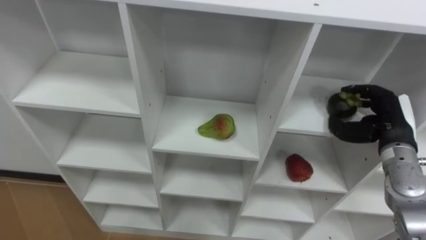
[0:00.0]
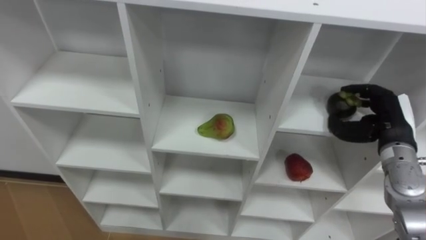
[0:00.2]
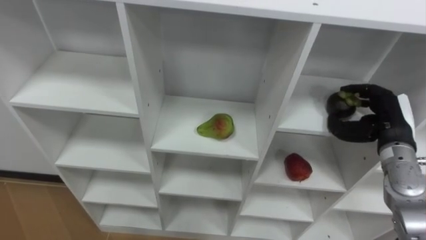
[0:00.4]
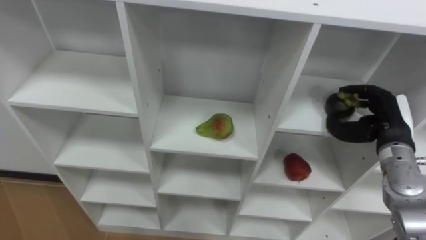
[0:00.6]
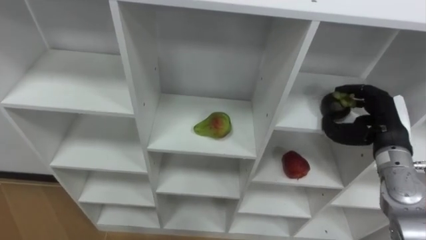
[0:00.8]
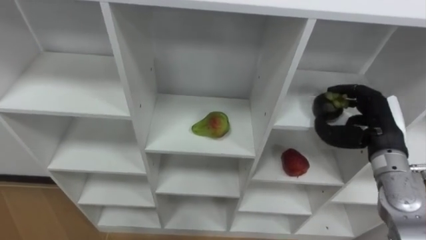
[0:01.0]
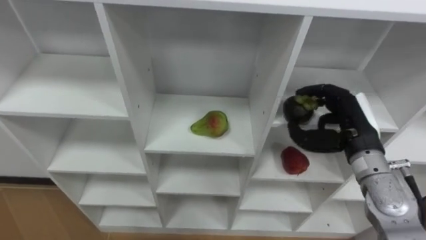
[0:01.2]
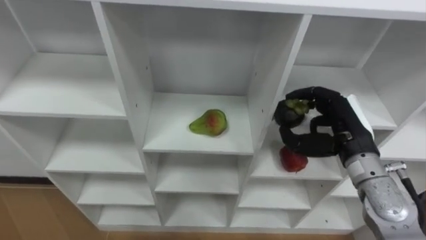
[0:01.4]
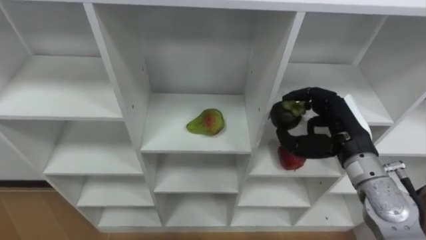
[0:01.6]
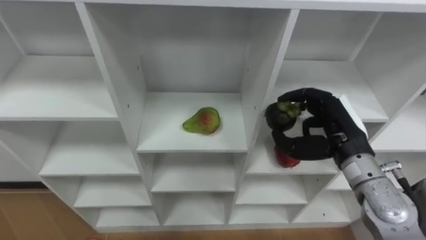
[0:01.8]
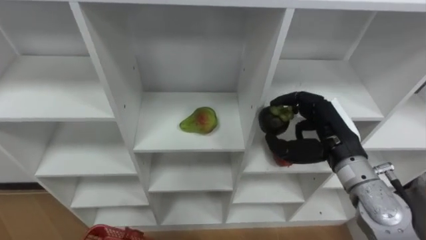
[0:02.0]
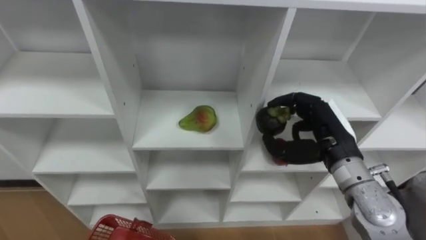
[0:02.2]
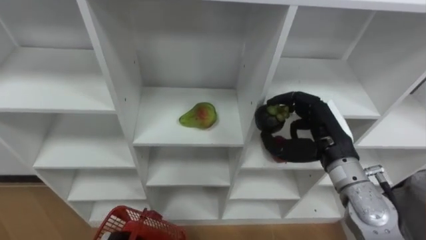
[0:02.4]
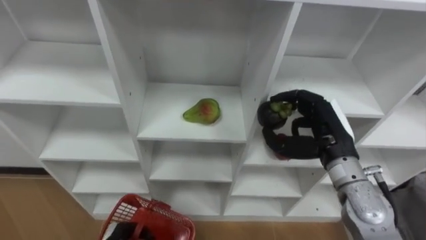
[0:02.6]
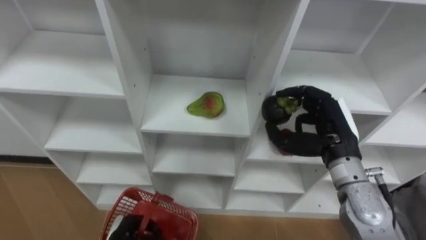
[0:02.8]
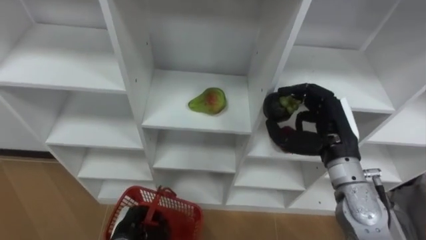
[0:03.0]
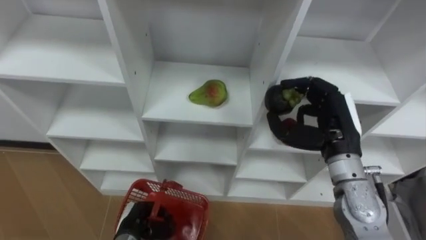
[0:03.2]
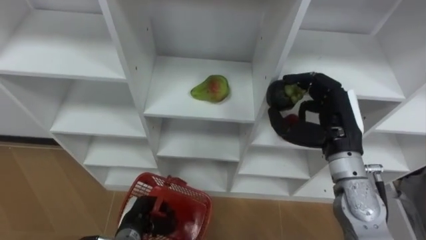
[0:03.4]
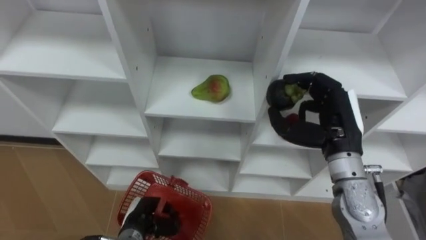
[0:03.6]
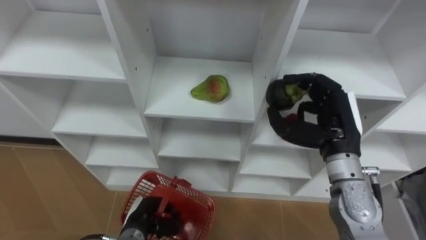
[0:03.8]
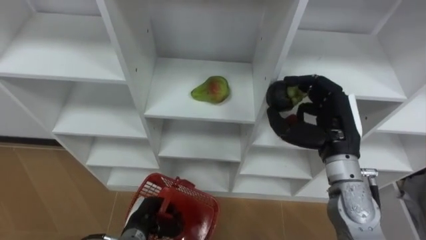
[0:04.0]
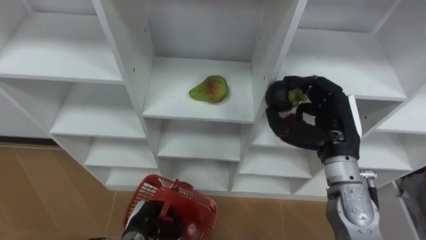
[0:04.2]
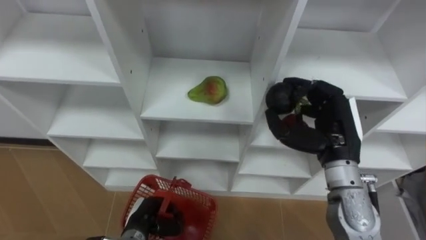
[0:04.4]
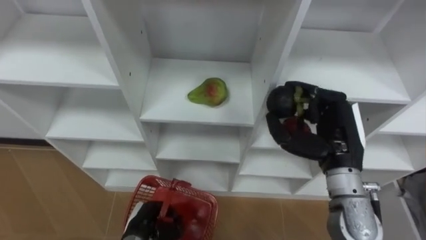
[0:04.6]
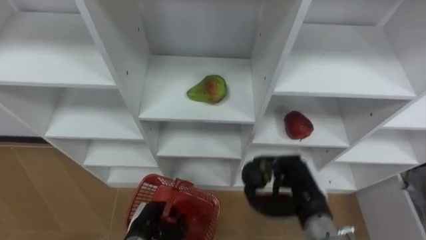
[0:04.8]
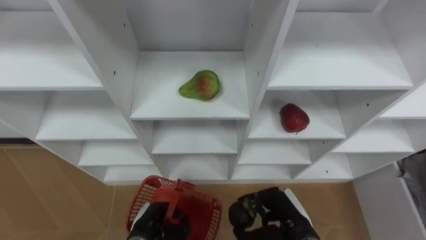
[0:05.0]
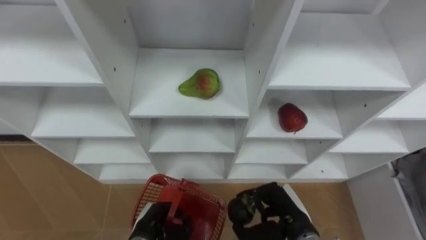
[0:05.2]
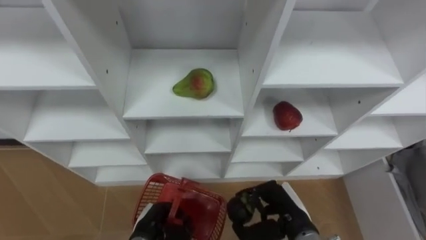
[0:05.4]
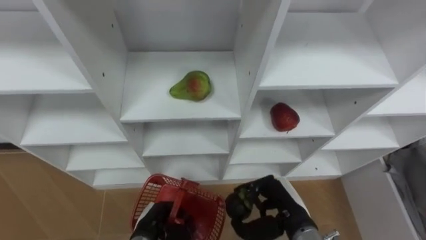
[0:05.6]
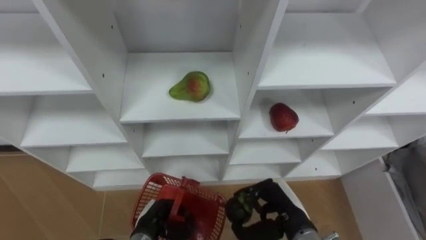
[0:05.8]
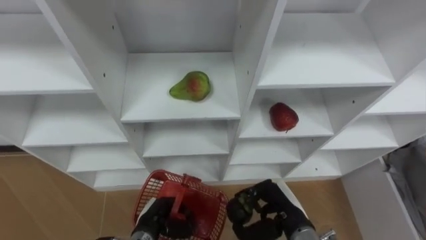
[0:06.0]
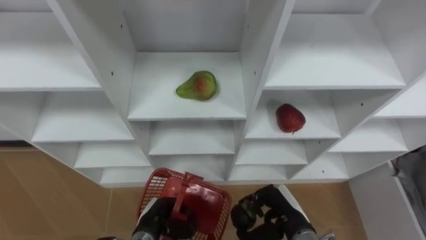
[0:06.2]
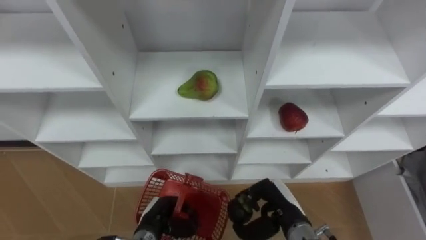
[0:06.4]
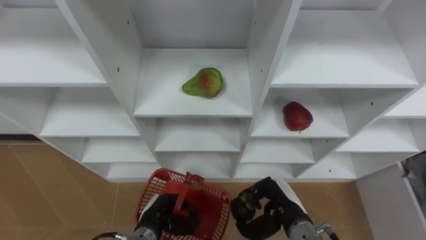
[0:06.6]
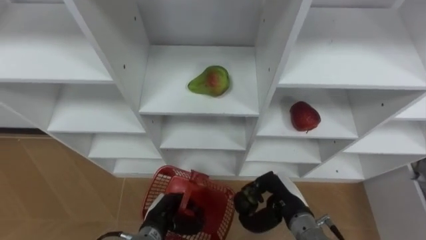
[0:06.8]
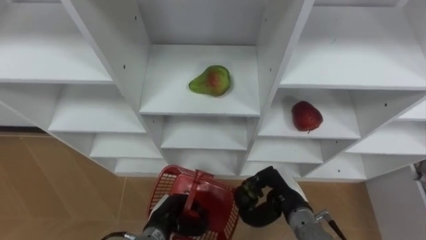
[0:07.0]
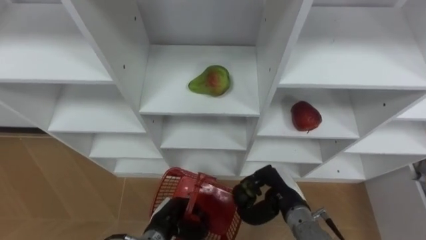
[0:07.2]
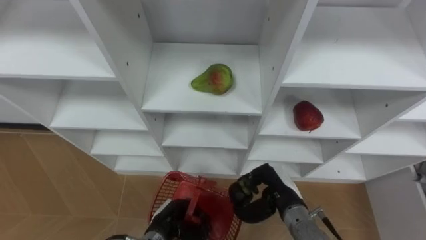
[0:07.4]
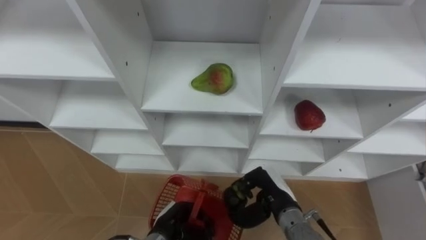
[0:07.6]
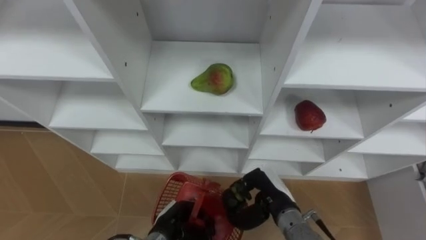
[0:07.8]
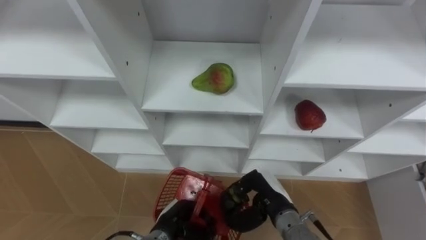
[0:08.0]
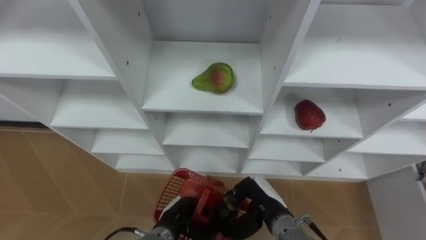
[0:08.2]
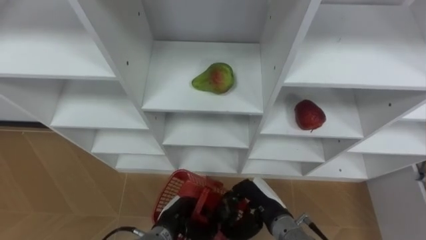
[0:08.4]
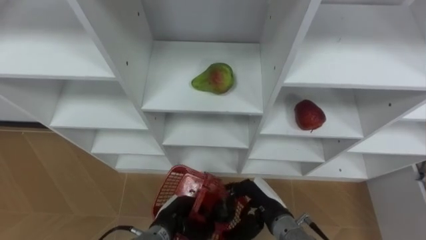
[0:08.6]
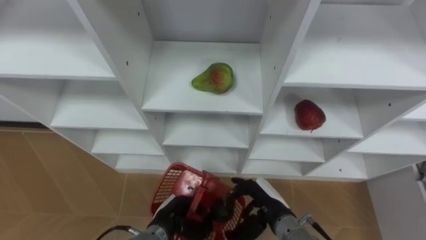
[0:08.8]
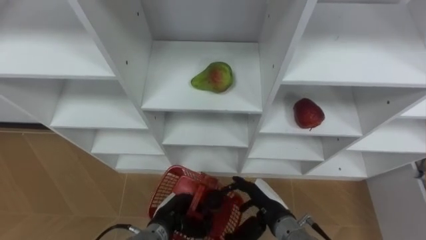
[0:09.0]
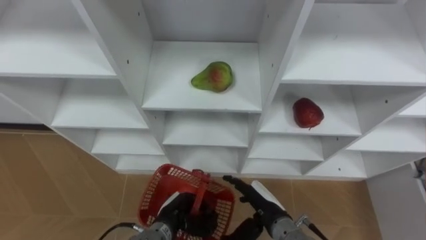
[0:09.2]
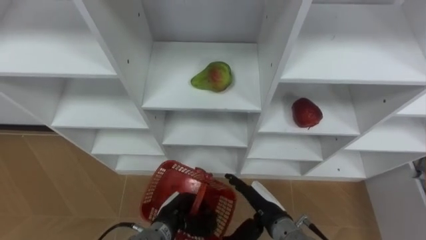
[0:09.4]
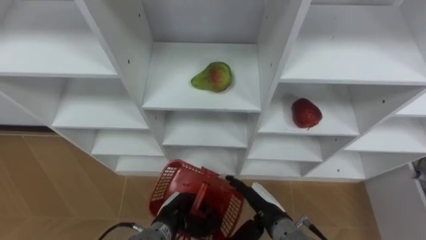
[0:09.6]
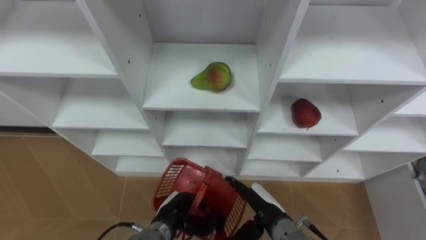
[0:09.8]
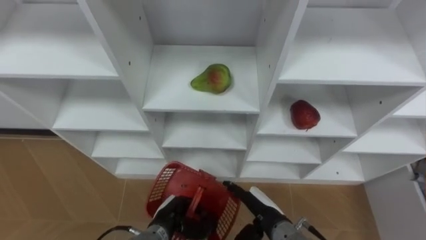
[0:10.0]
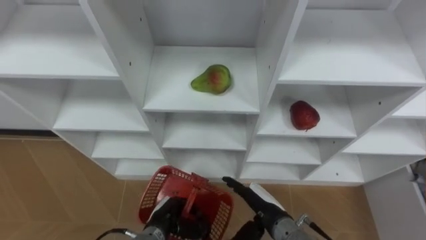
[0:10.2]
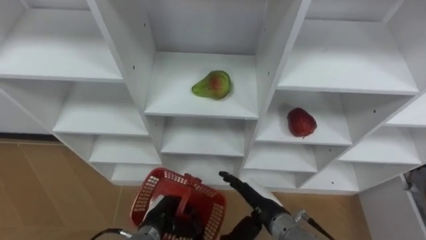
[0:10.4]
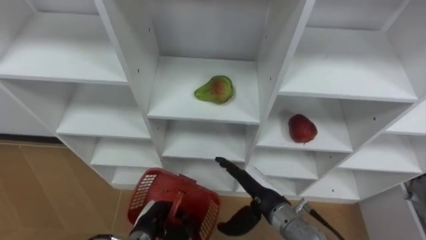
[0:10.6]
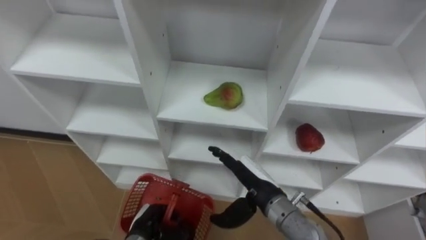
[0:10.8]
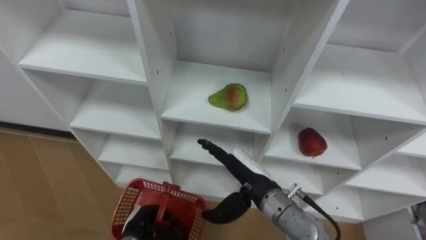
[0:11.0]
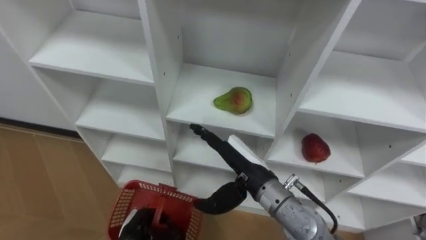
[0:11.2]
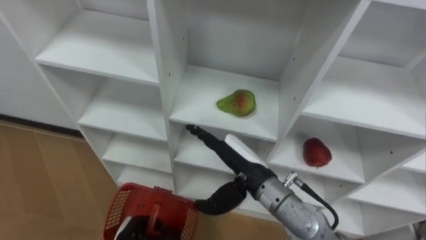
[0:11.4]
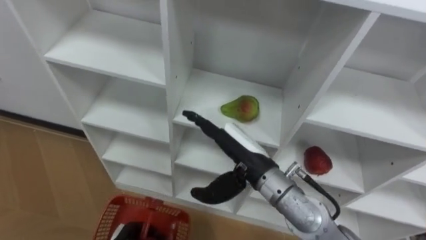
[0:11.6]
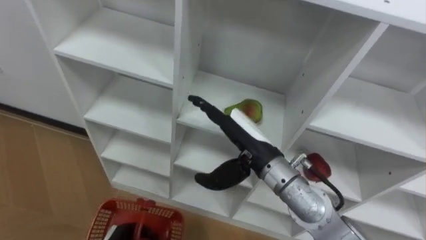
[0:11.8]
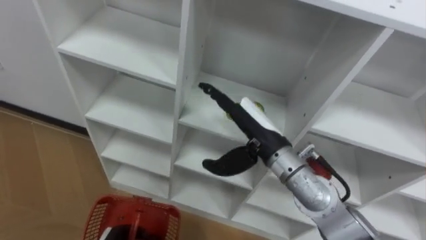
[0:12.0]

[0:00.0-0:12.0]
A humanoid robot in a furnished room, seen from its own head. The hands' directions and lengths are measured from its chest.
Task of the whole recording: Hold the basket and collect the fruits from 3 different cells of the closet into it.
0.0 to 1.6 s: The right hand moves to the left, roughly 10 cm.
4.4 to 6.0 s: The right hand travels downward, backward and to the left by some 15 cm.
7.6 to 9.0 s: The right hand opens its fingers.
10.4 to 12.0 s: The right hand is displaced upward and forward by roughly 20 cm.

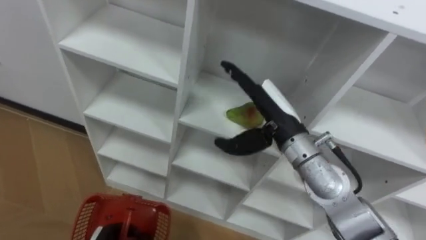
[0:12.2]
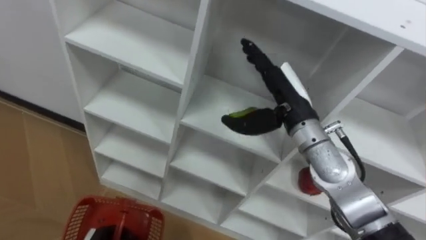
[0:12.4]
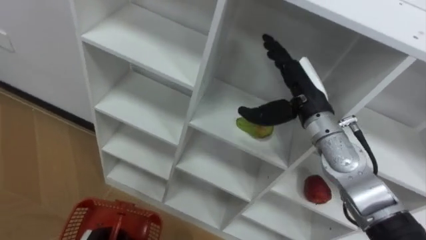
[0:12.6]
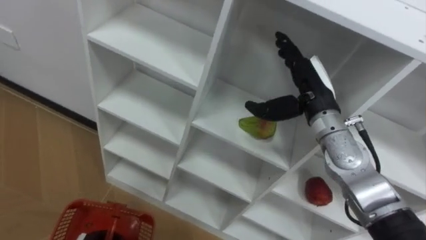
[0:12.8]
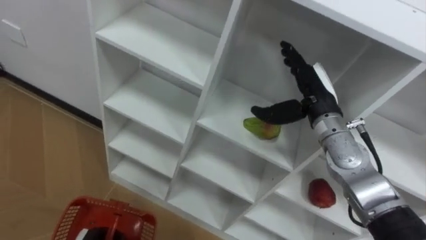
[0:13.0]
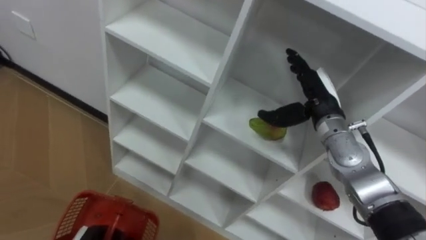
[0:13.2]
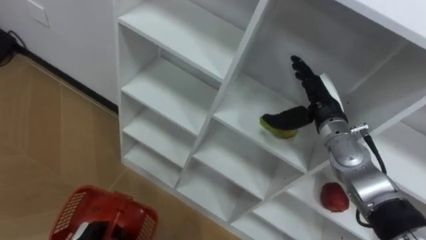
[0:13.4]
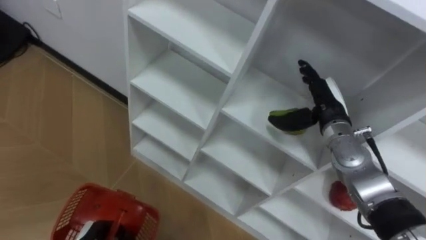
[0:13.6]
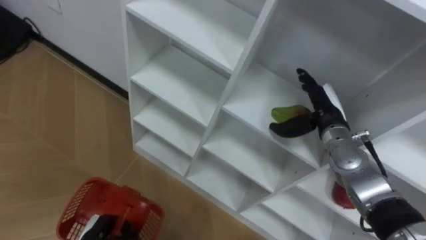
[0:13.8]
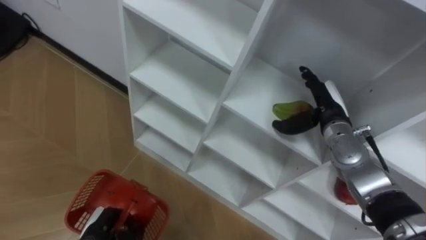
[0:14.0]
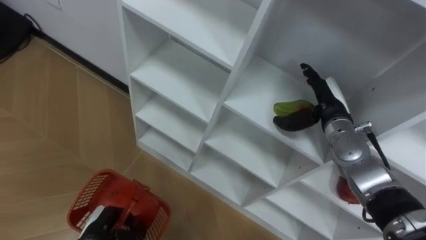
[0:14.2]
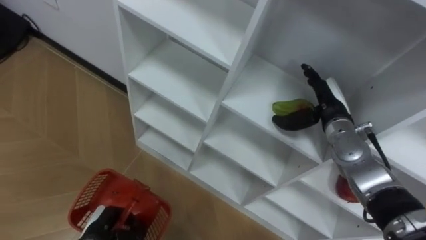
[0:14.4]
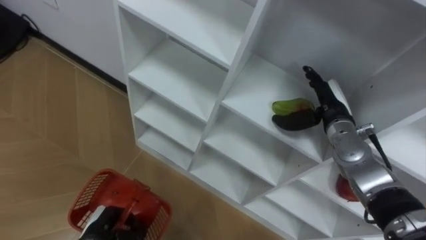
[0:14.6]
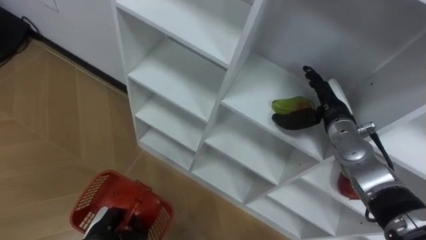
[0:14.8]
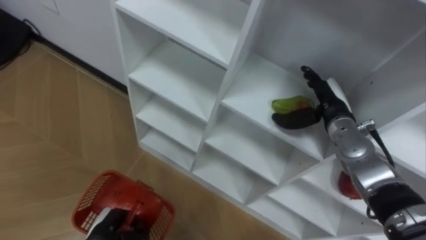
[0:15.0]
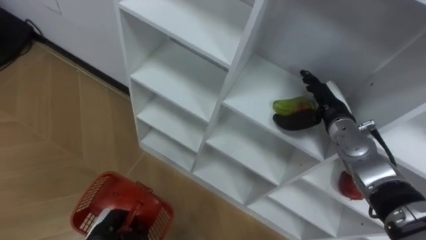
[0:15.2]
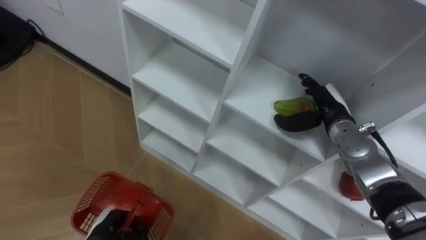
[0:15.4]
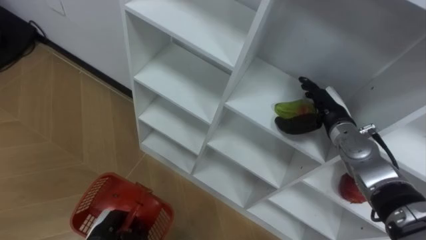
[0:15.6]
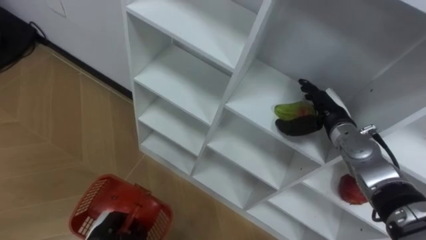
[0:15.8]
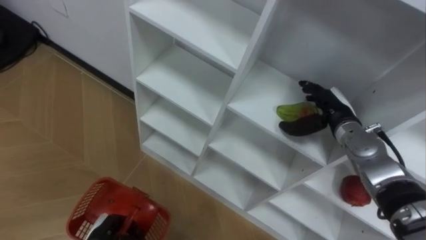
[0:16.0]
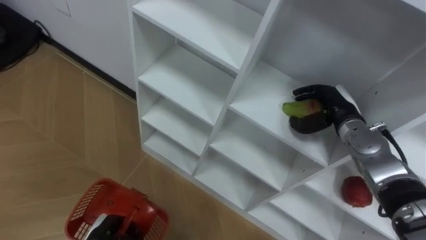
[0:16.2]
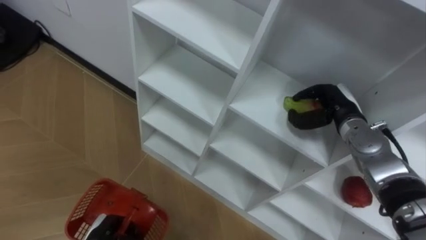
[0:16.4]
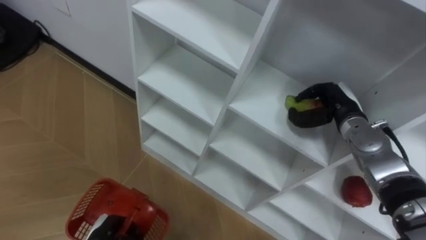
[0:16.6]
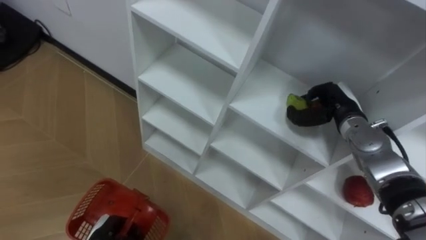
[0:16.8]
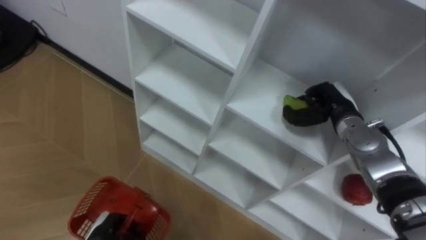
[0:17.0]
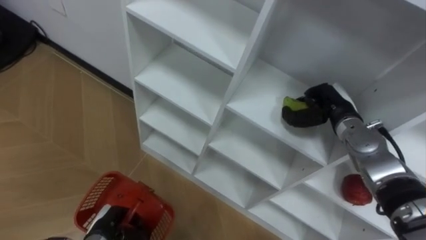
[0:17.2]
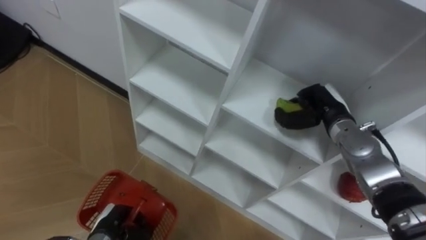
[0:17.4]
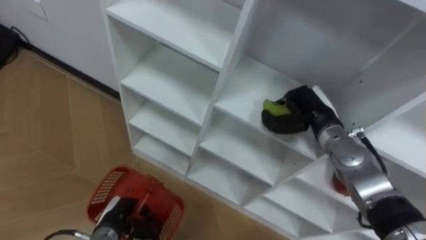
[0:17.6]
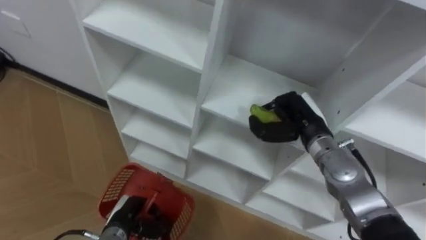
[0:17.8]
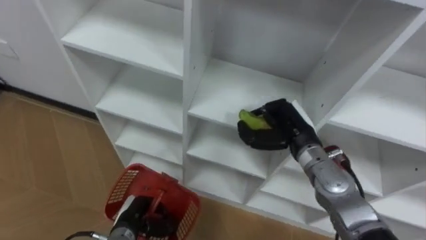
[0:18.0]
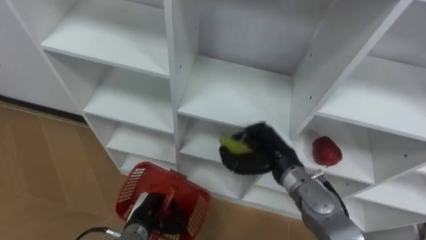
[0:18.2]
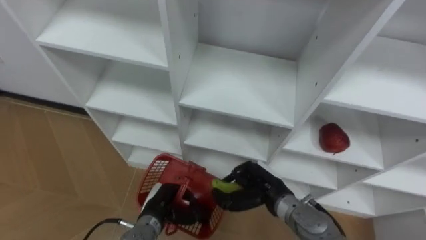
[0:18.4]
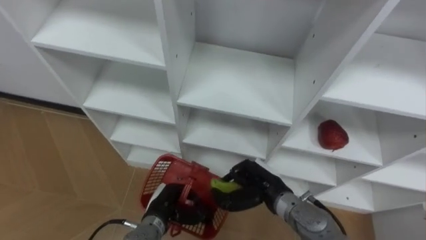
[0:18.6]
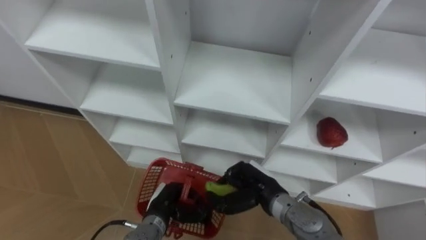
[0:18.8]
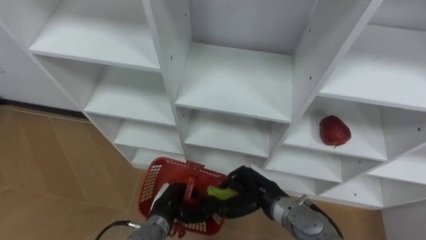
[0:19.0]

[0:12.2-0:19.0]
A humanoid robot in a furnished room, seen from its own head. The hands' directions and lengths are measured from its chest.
Task of the whole recording: Hold the basket and collect the fruits from 3 different cells of the closet into it.
12.2 to 13.6 s: The right hand is displaced to the right, forward and downward by roughly 15 cm.
15.0 to 16.2 s: The hands stay close to where they were, moving slightly.
16.2 to 17.6 s: The right hand moves to the left, roughly 5 cm, and closes.
17.6 to 19.0 s: The left hand goes about 10 cm to the right. The right hand shifts some 20 cm backward, to the left and downward.
